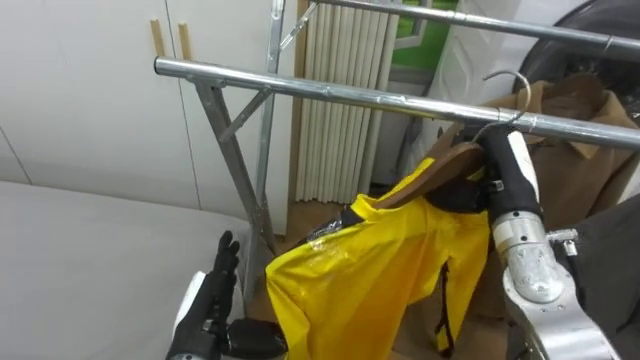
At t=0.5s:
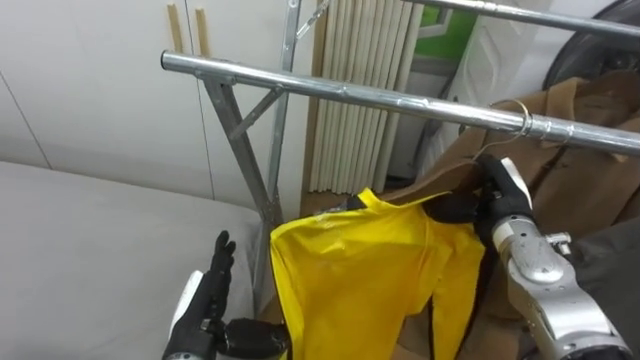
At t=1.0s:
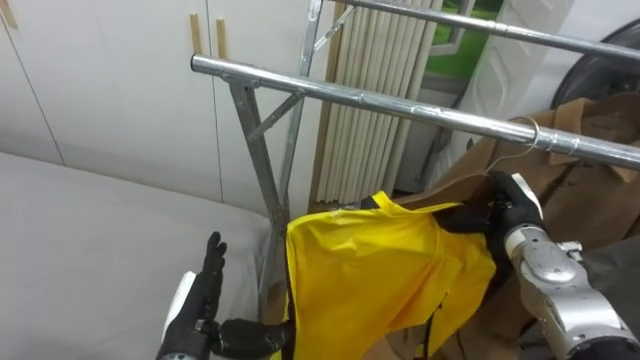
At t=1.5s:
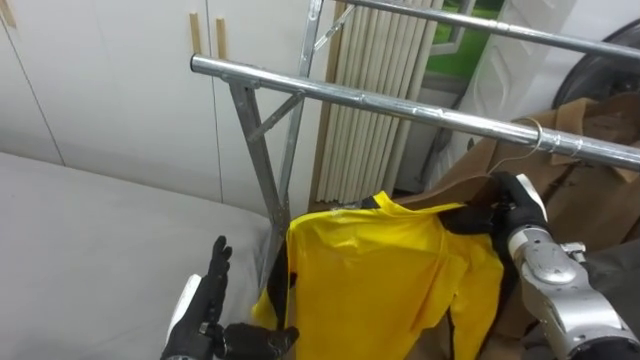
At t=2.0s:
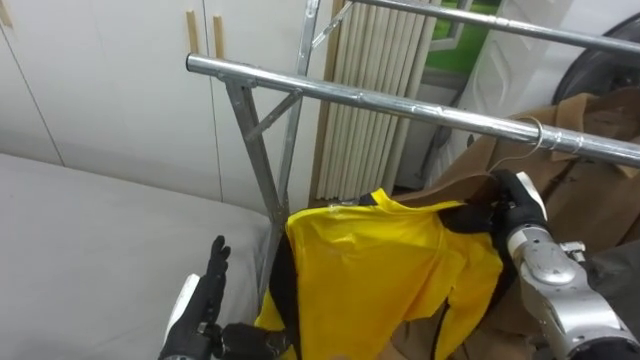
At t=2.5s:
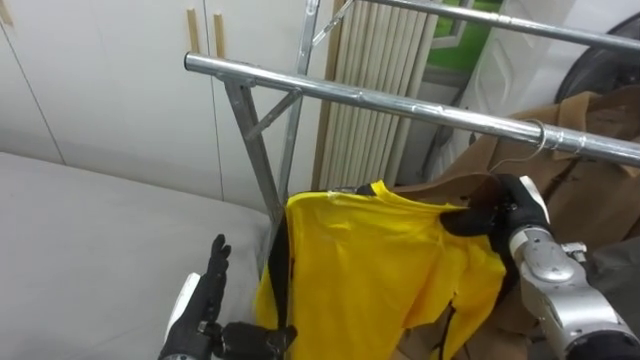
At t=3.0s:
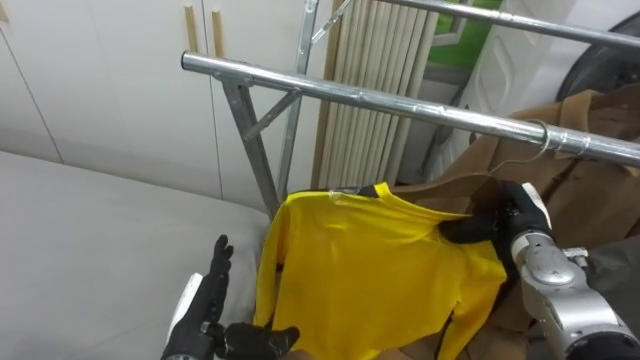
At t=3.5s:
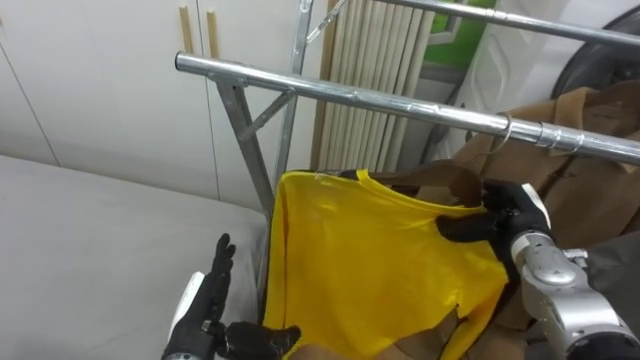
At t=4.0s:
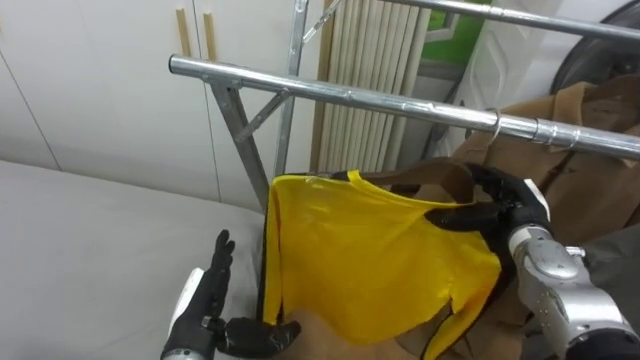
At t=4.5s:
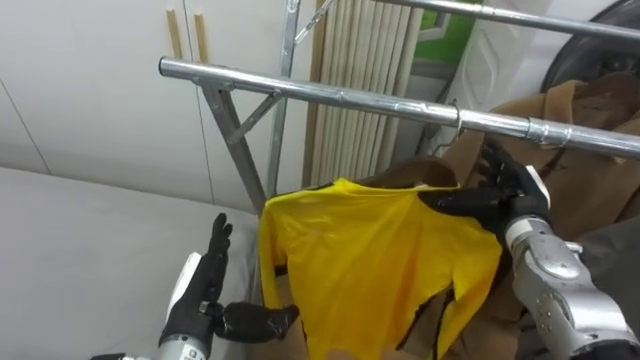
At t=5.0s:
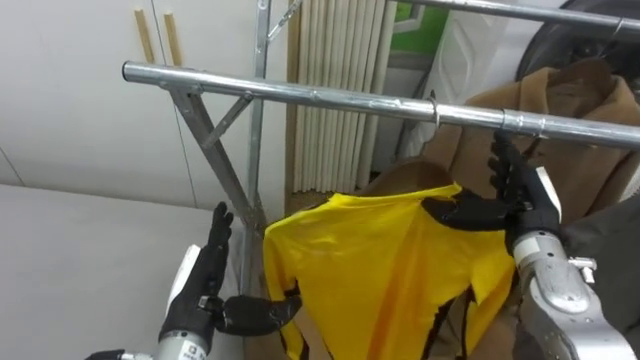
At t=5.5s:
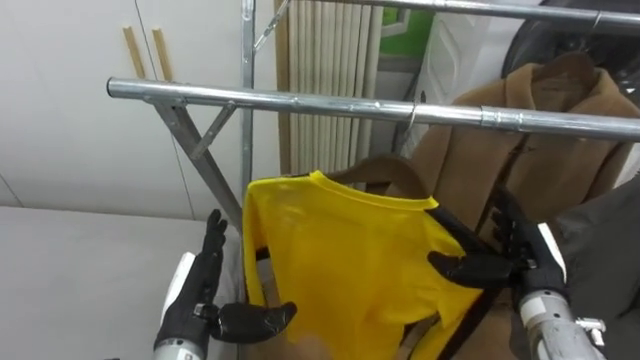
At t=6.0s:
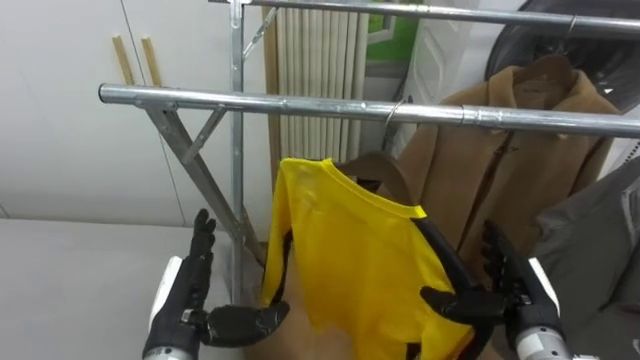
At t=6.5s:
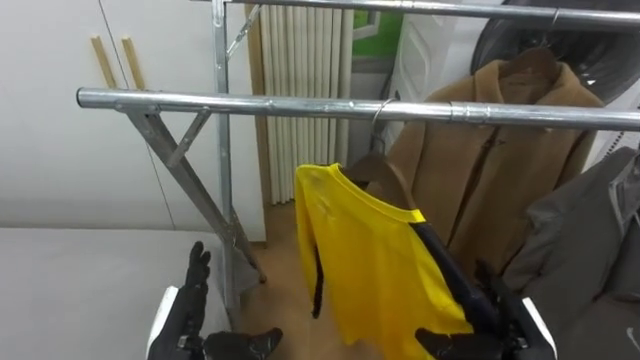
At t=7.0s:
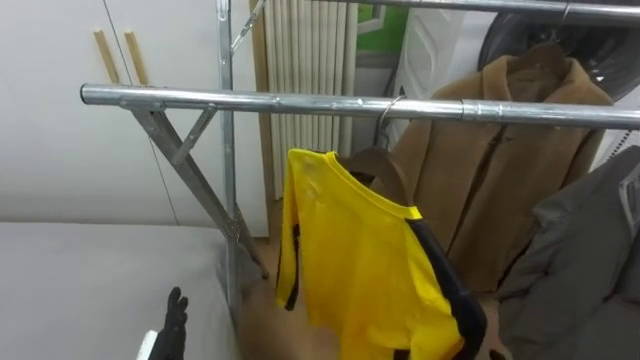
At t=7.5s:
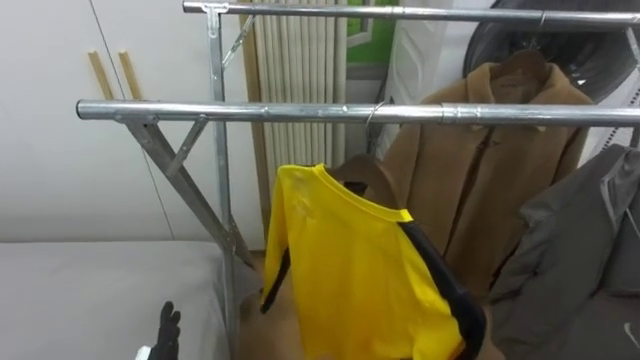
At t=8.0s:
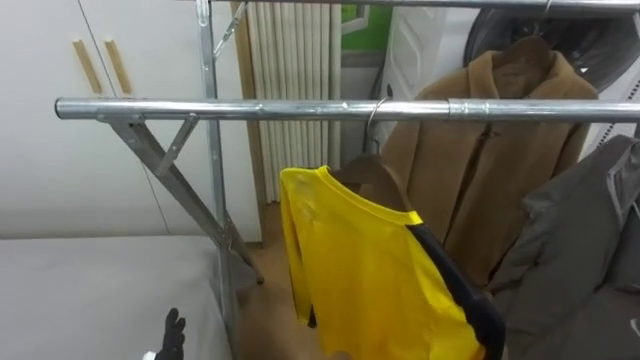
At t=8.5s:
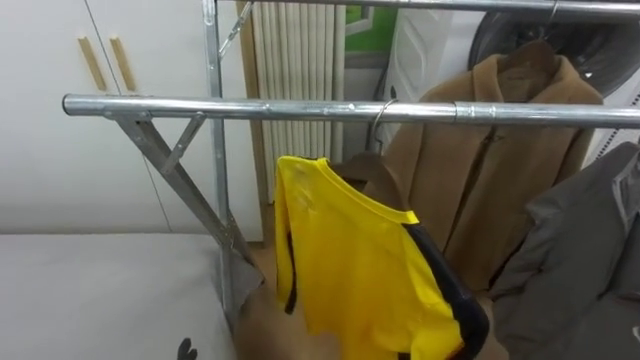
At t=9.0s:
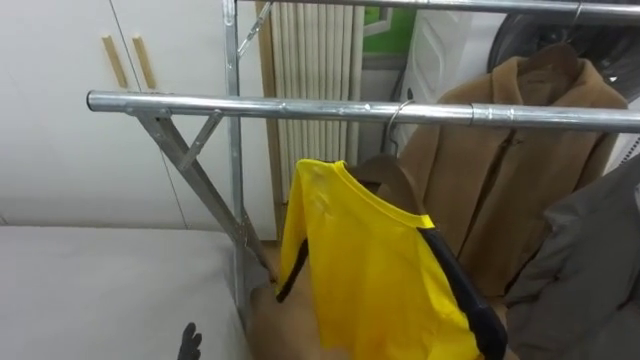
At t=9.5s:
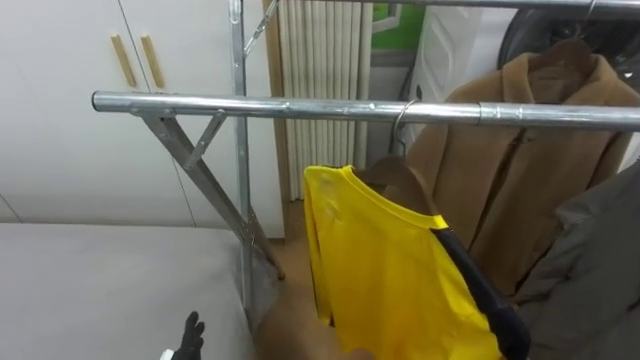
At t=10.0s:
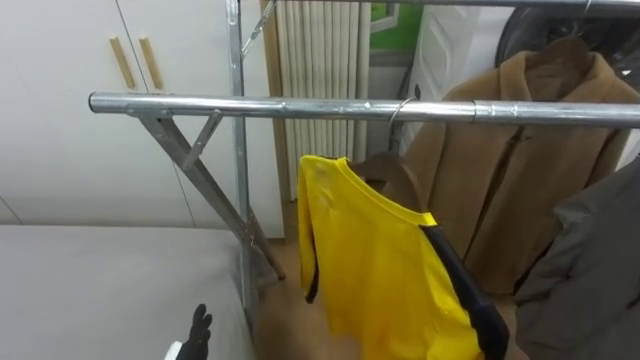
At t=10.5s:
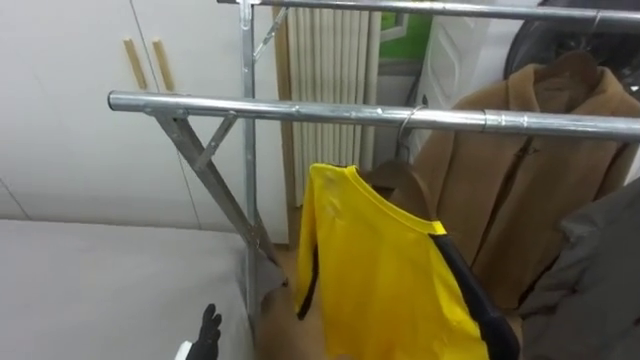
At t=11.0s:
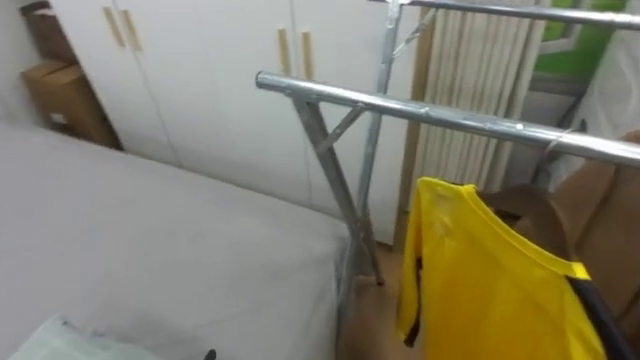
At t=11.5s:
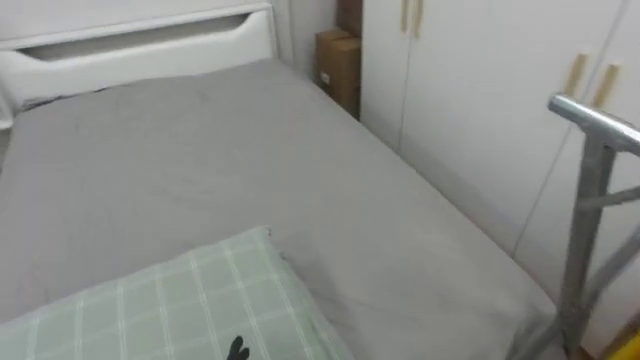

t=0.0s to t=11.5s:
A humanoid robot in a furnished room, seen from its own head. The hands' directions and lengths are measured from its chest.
Task of the whole recording: Pick up the yellow shirt on the bed and hang it on the clothes rack on the right.
t=0.0s to t=2.0s: The right hand goes about 5 cm downward.
t=2.0s to t=4.0s: The right hand opens up.
t=4.0s to t=6.0s: The right hand shifts about 10 cm backward.
t=9.5s to t=11.5s: The robot rotates some 60 degrees to its left.

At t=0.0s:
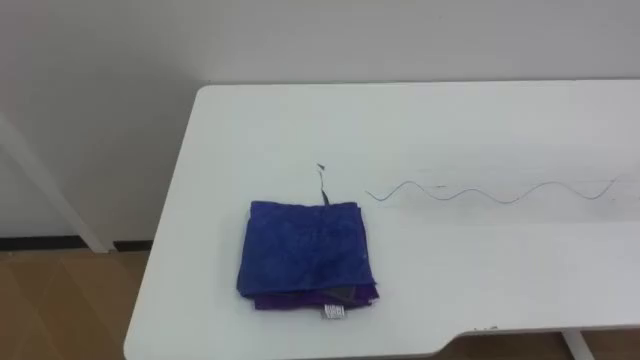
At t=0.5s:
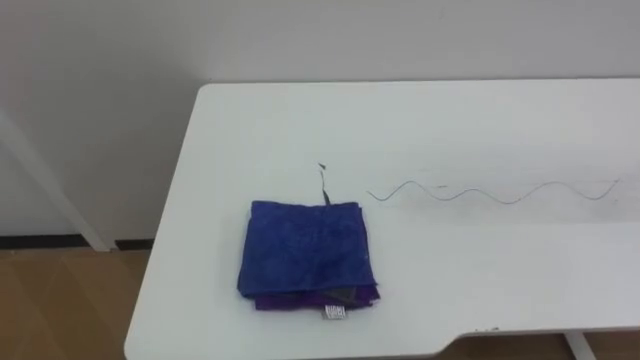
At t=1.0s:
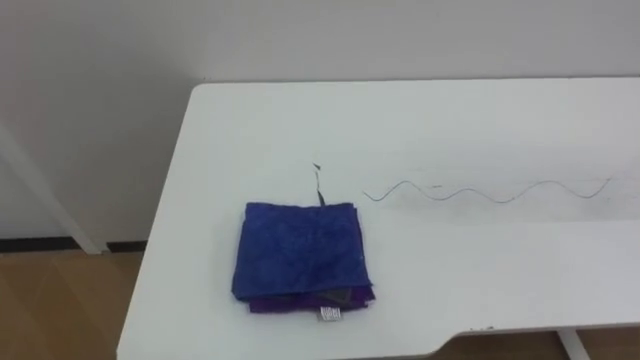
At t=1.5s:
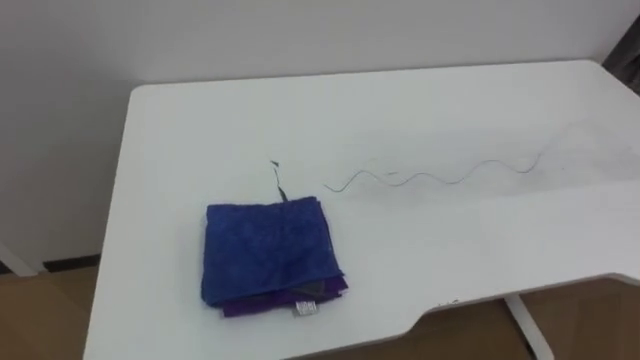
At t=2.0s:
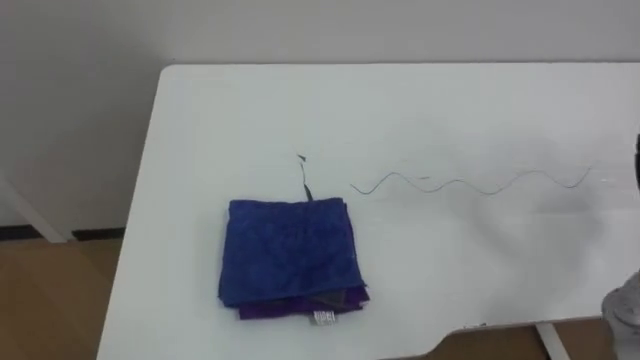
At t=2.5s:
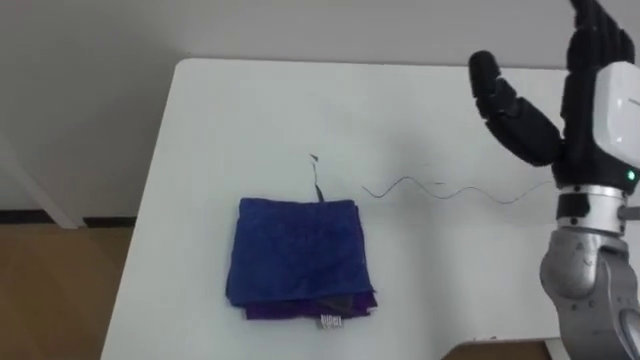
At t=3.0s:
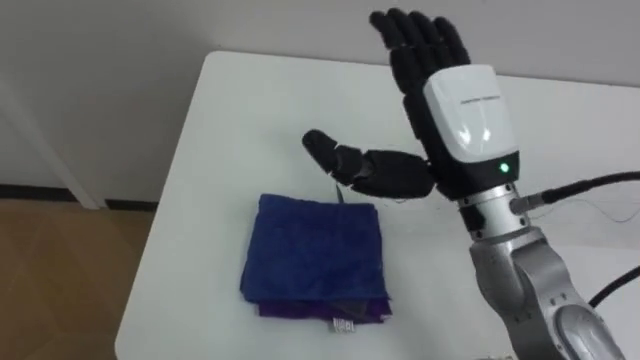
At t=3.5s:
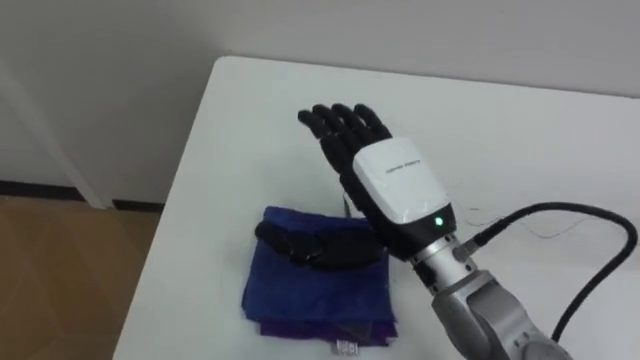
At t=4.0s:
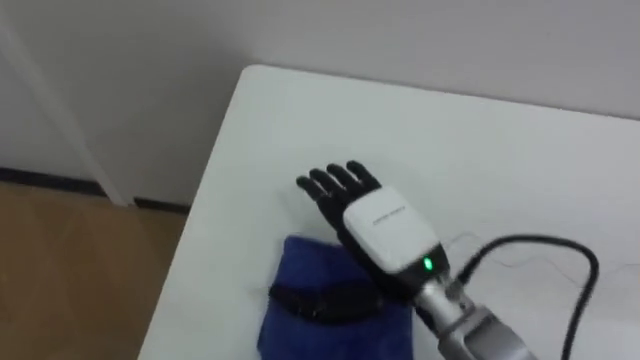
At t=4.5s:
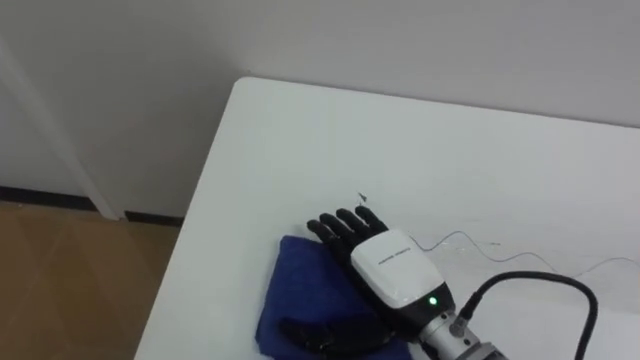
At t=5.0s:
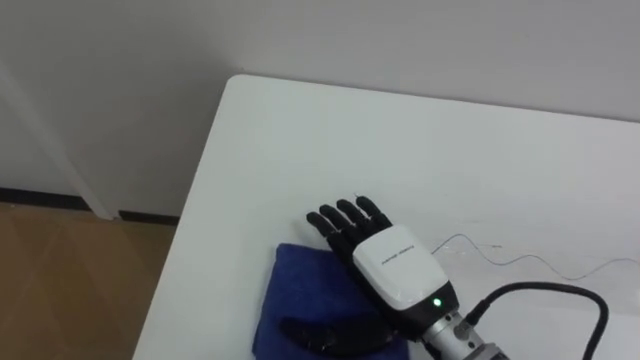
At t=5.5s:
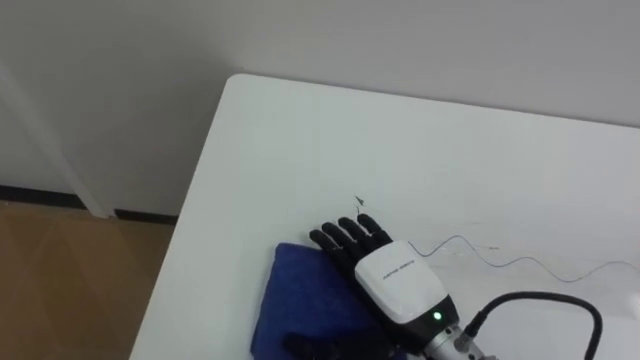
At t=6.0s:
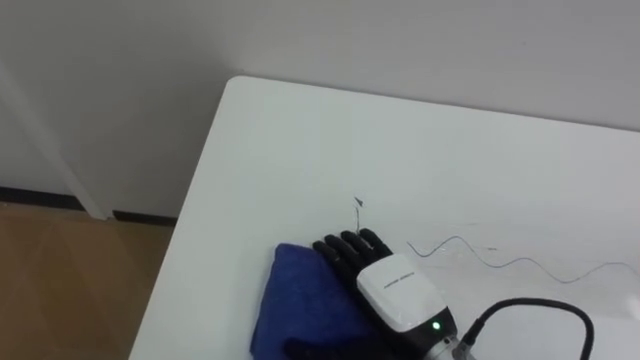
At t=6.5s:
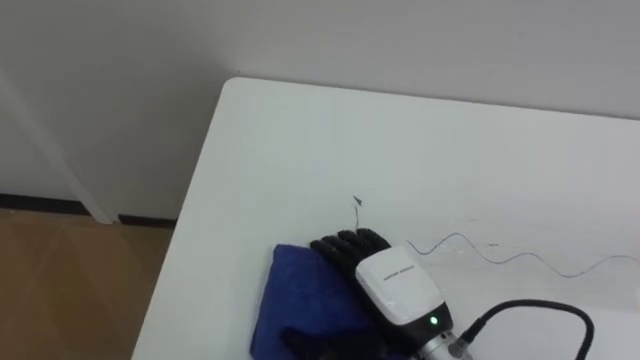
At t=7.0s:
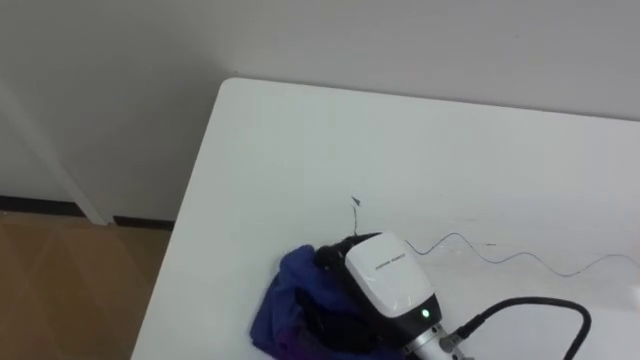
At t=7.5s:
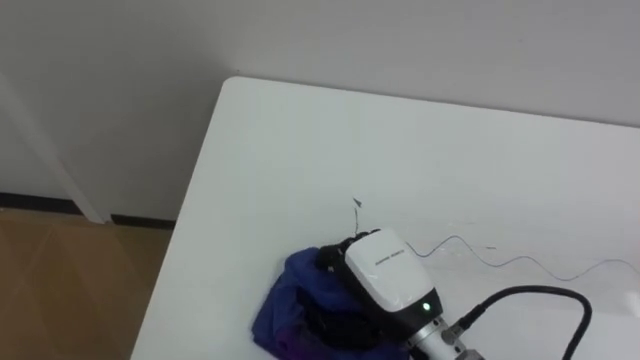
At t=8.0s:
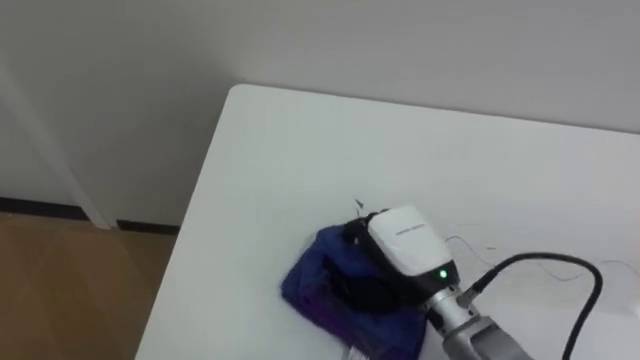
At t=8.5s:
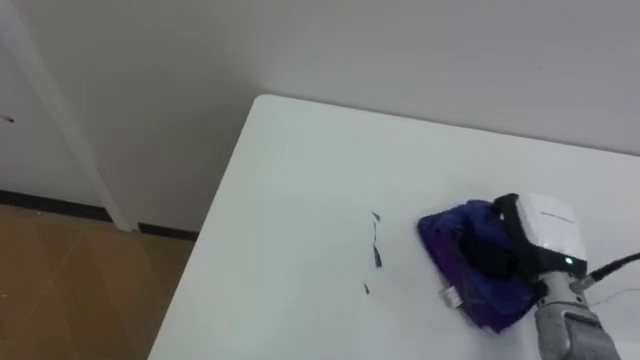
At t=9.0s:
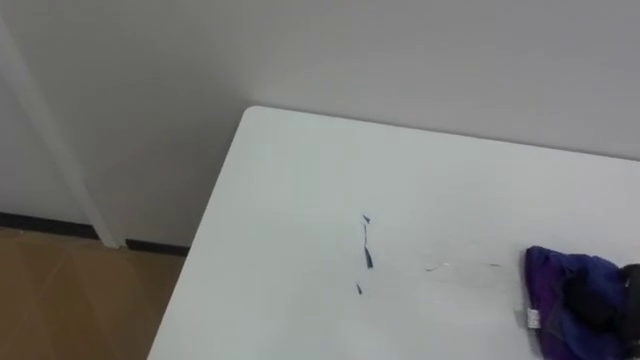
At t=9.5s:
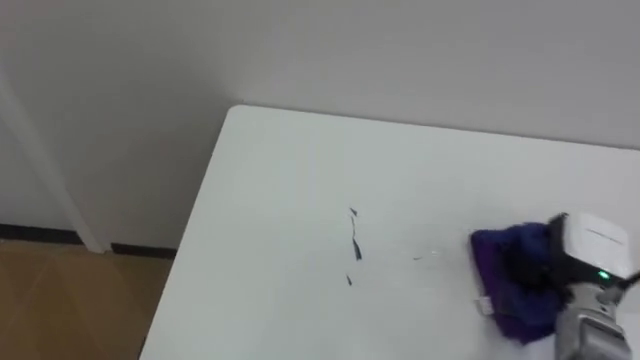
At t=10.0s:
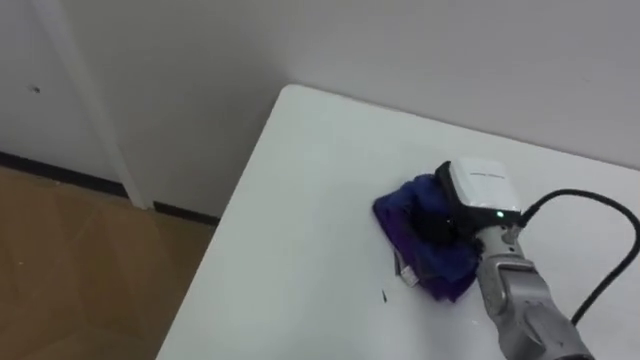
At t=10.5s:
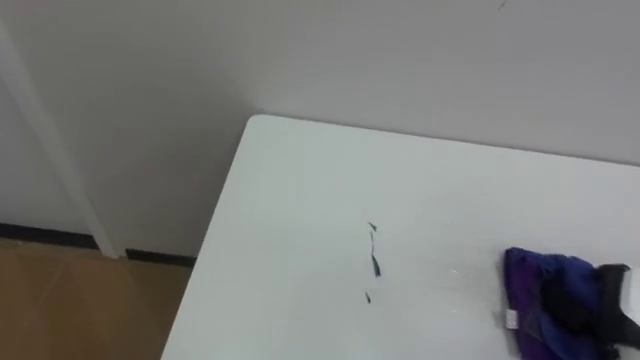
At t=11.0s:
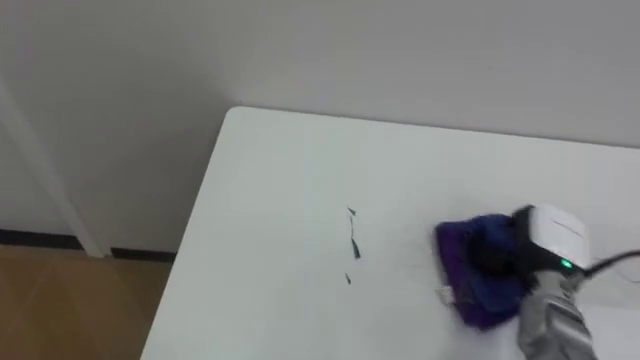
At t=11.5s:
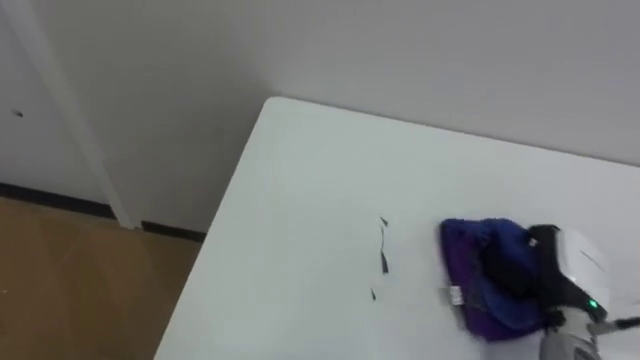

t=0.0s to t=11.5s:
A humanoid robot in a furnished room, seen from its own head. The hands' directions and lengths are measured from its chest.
Task of the whole recording: Wipe the blue pen marks off the table with the rag.
t=4.0s to t=6.0s: The right hand travels downward by approximately 5 cm.
t=6.0s to t=7.5s: The right hand closes its fingers.
t=9.5s to t=11.5s: The right hand swings left and right, roughly 15 cm each way, with 2 reversals.
